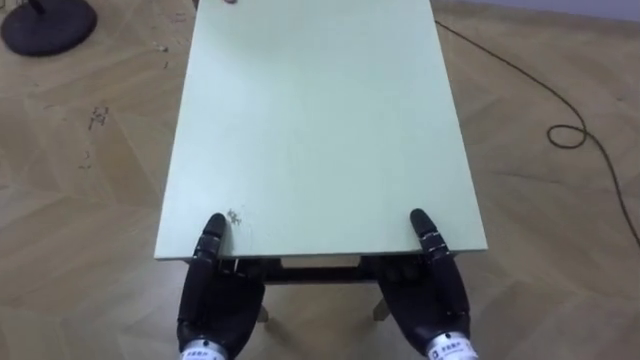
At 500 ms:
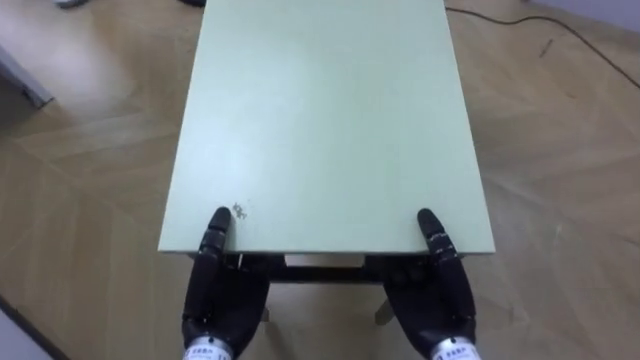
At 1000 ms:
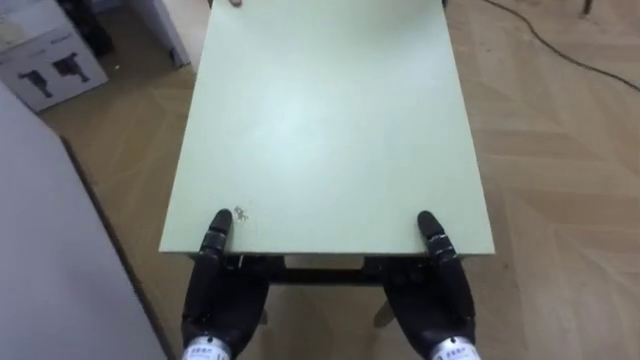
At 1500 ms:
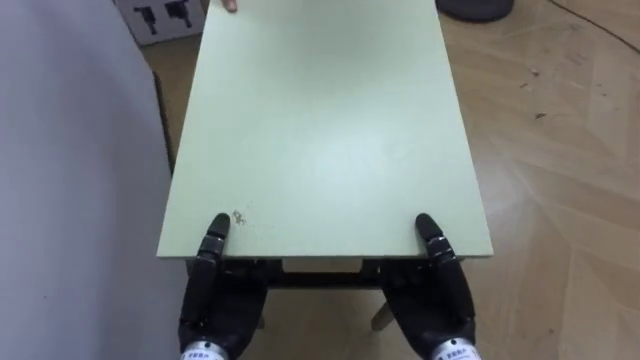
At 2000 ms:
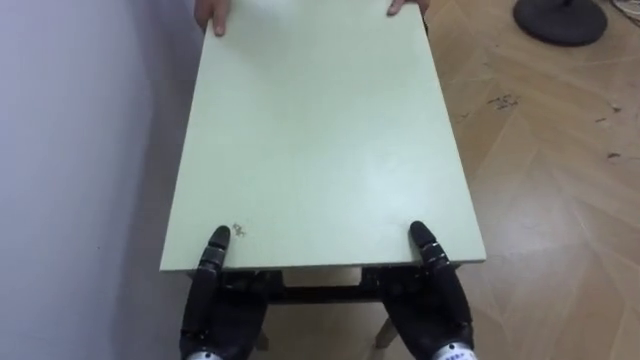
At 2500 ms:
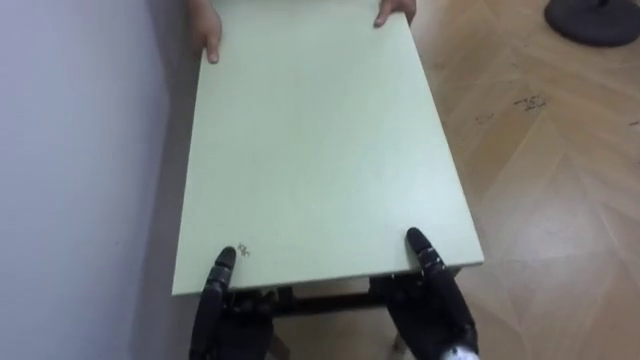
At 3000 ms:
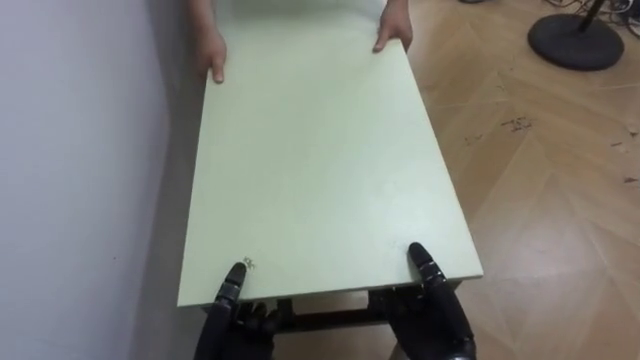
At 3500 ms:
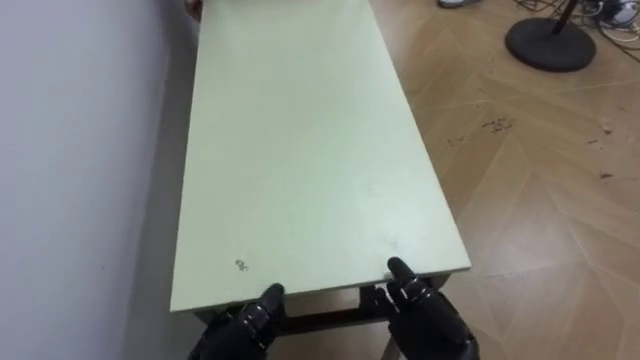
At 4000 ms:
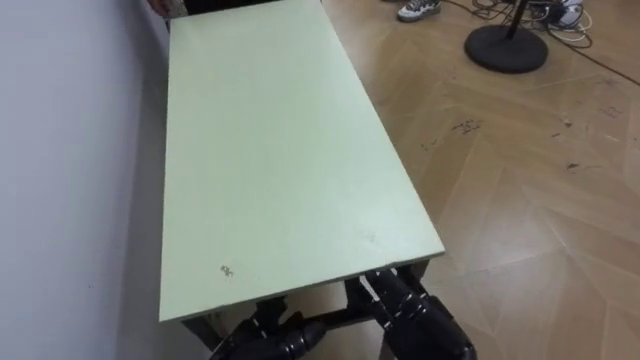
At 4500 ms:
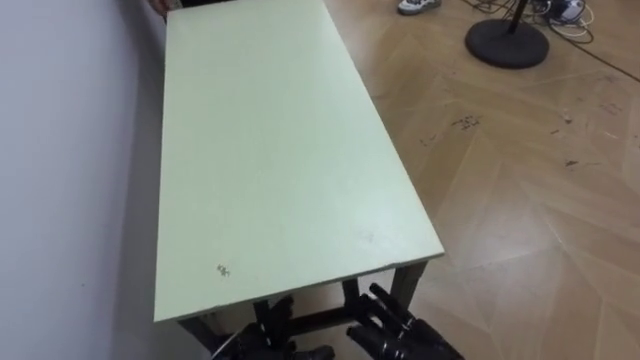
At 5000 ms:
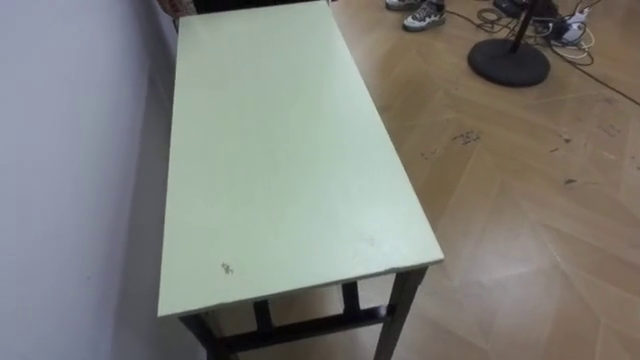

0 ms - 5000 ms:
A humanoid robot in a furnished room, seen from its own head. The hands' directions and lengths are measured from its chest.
Task of the whole recording: Move the table to the back left with someone.
0 ms - 2500 ms: The robot rotates some 75 degrees to its left. The left hand ends up some 5 cm from where it was.

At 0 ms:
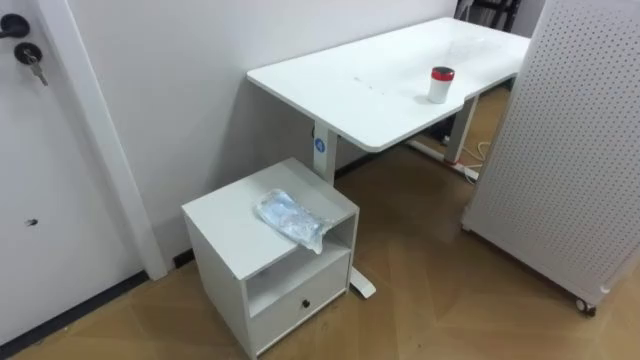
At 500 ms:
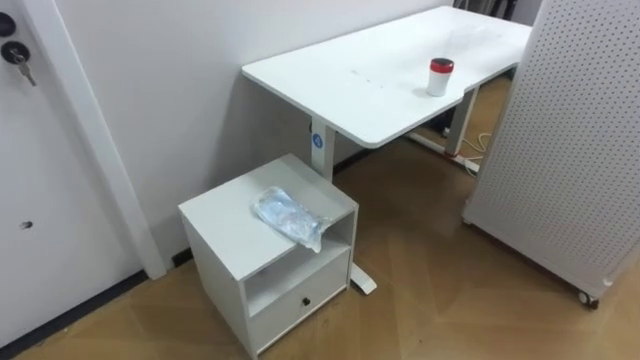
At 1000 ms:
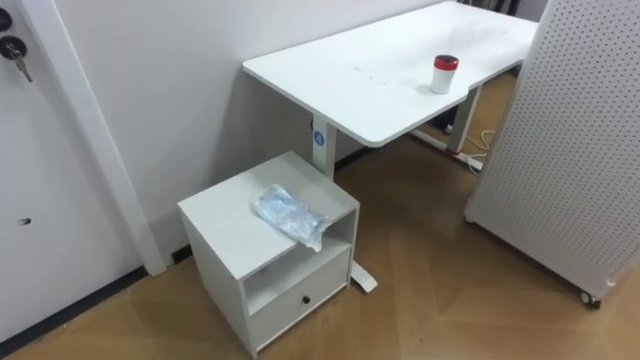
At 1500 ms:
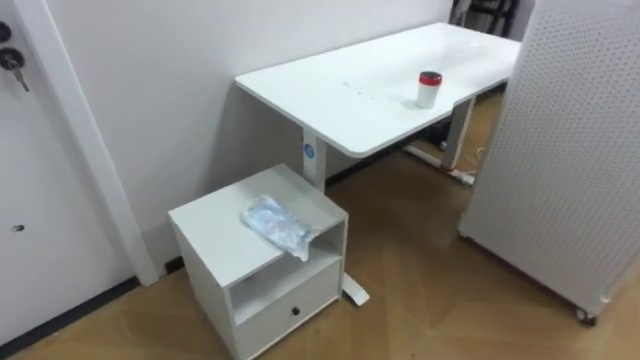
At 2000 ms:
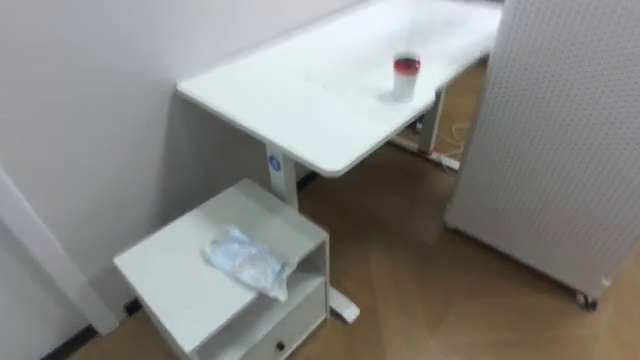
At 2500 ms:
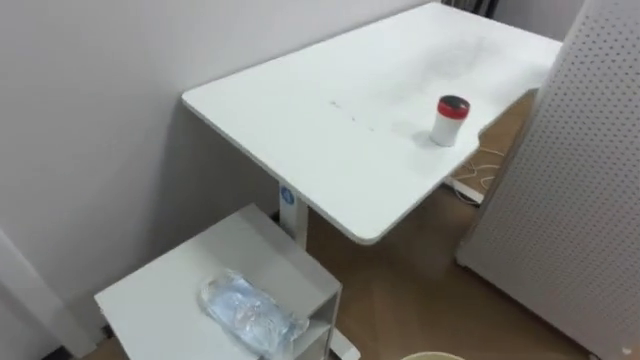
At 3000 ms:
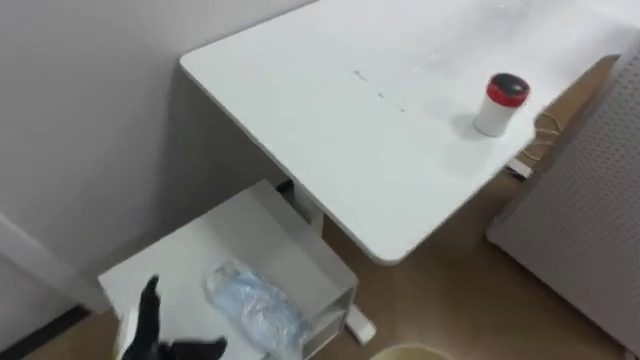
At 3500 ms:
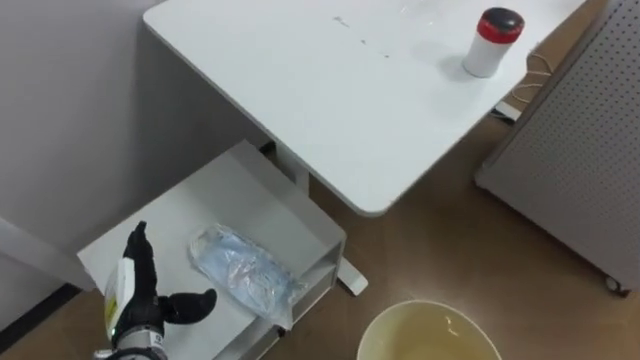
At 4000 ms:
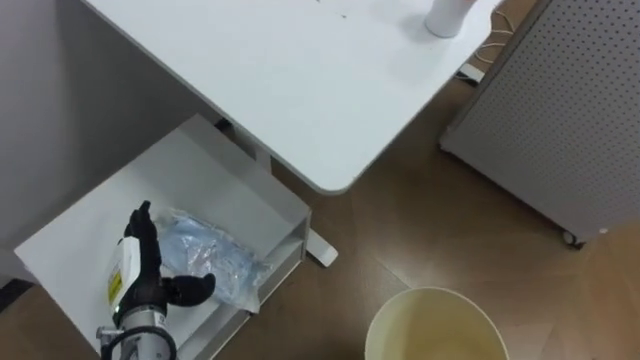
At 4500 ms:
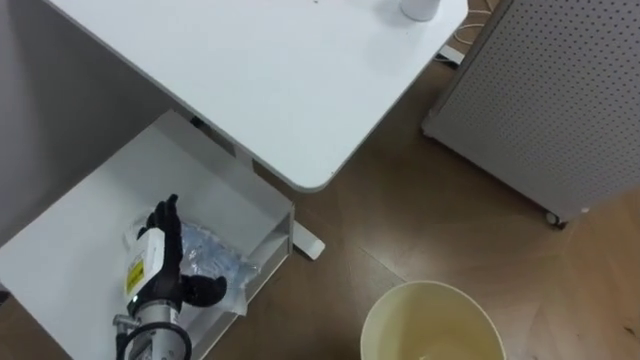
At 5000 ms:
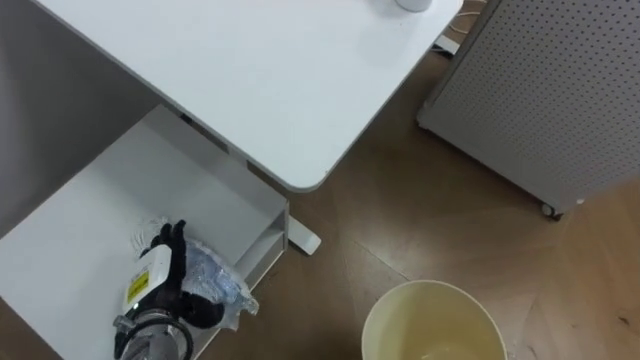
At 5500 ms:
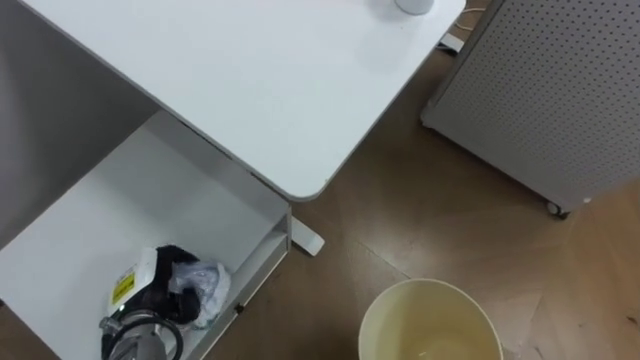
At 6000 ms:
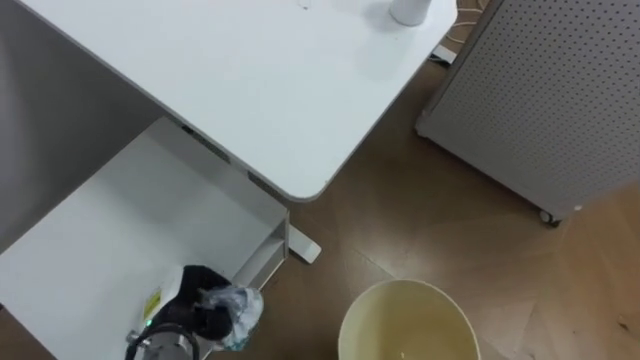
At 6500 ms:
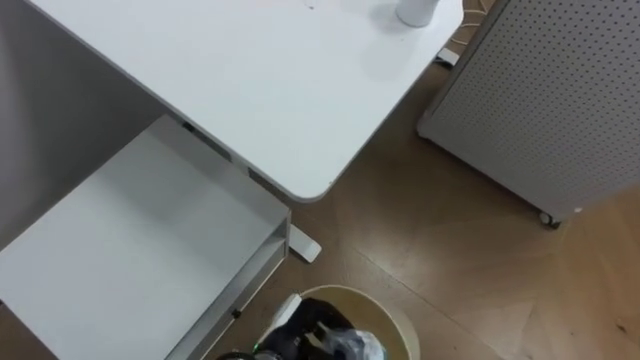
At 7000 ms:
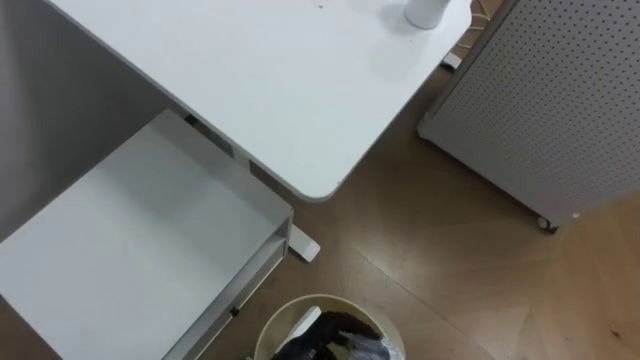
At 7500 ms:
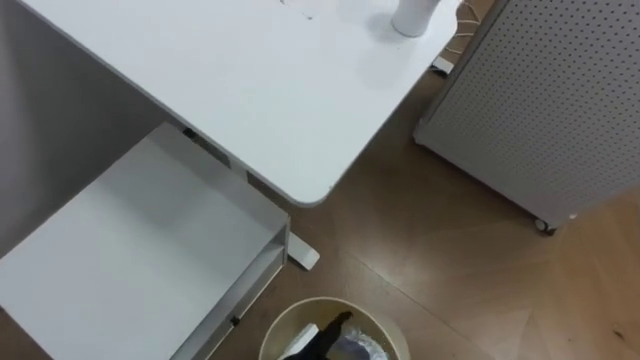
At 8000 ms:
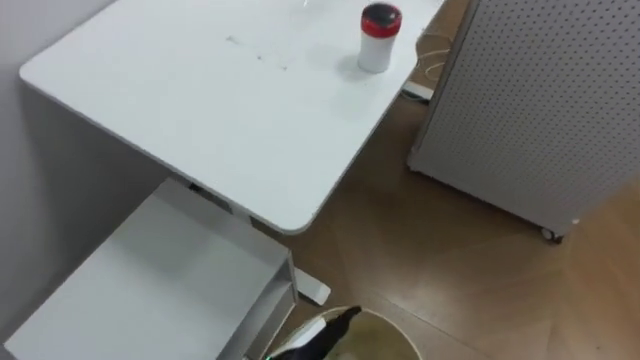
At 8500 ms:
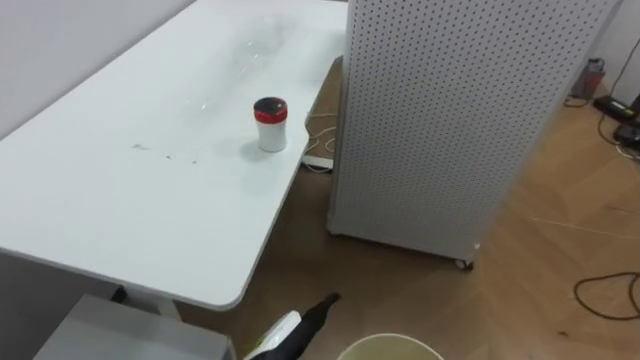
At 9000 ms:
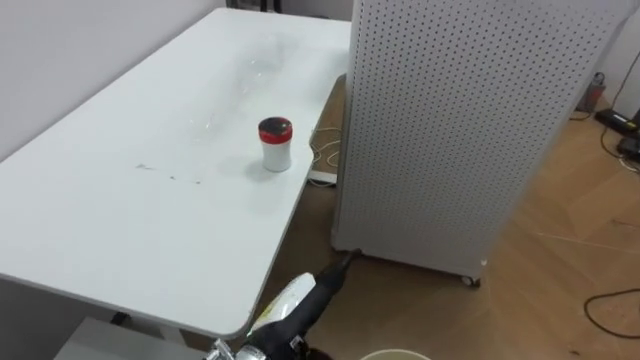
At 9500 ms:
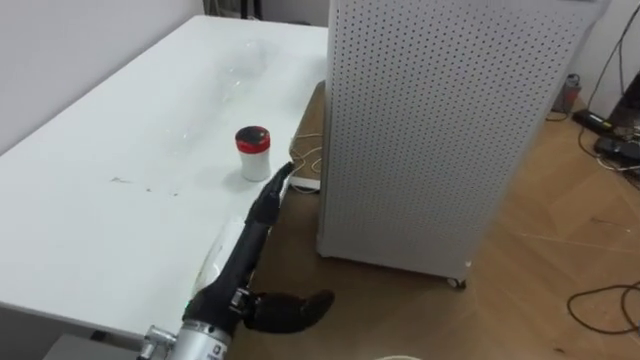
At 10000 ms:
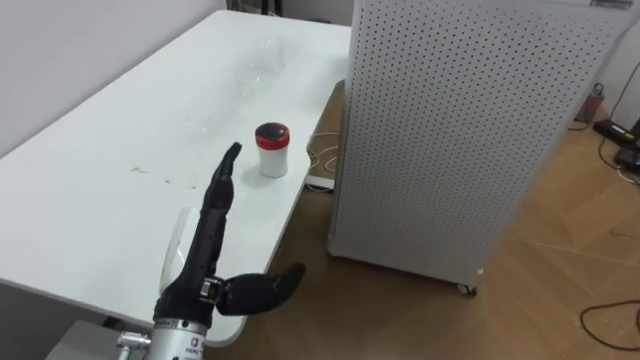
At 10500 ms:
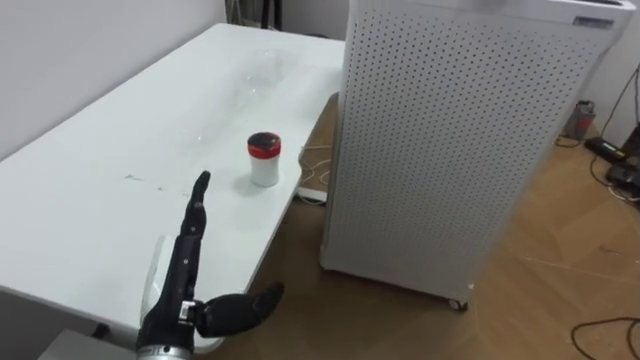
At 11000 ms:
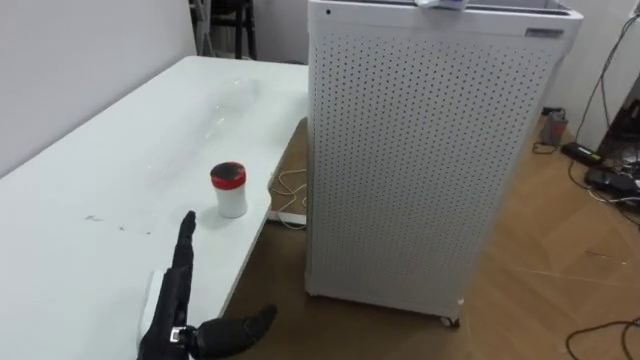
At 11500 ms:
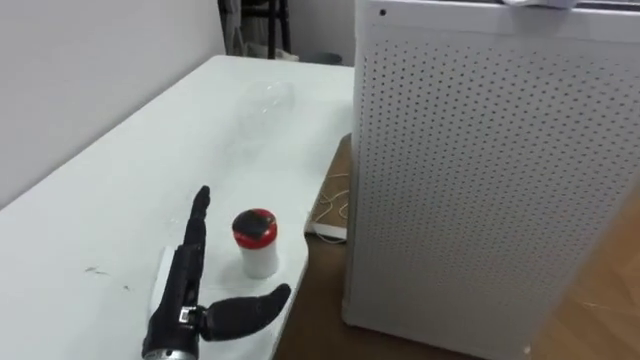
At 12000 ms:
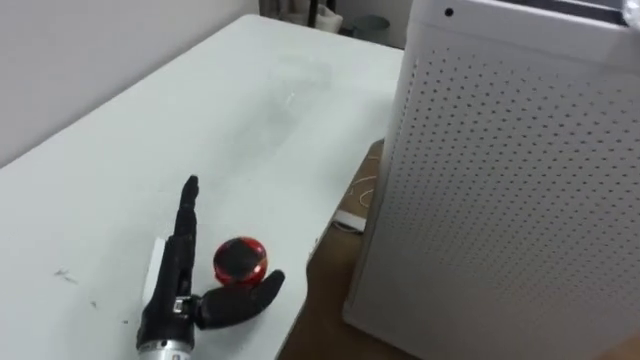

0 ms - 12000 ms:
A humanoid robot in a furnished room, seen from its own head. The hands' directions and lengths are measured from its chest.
Task of the whole recording: Pick up the light blue package, the candy box, and the dark blue package separately, and put them into the trash can held in your right hand.
4000 ms - 6000 ms: The left hand changes place by some 5 cm, and closes up.
8000 ms - 10000 ms: The robot's body swings about 25 degrees to its right. The left hand goes some 20 cm upward and to the left.

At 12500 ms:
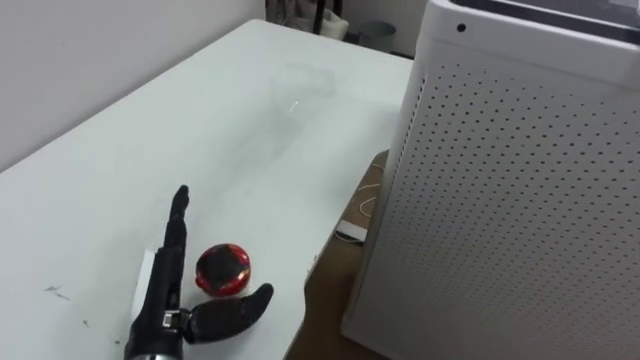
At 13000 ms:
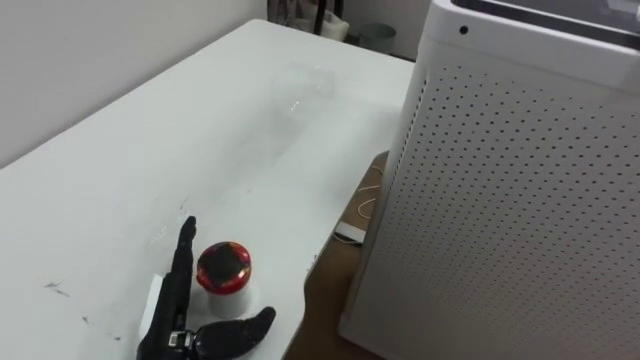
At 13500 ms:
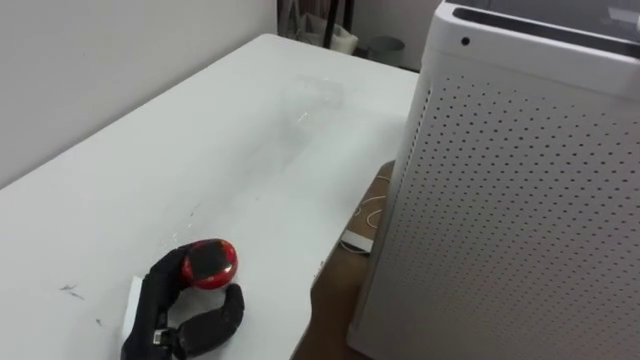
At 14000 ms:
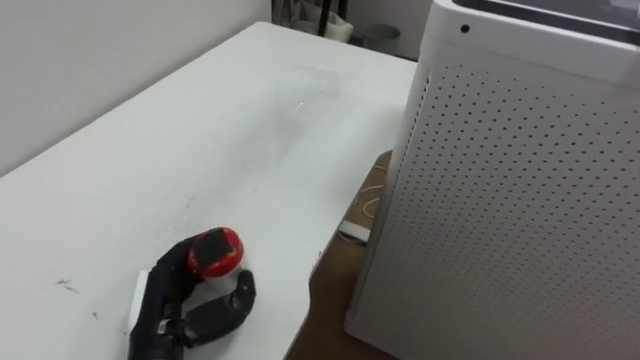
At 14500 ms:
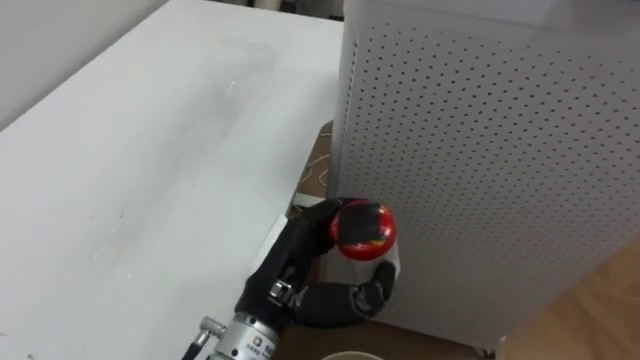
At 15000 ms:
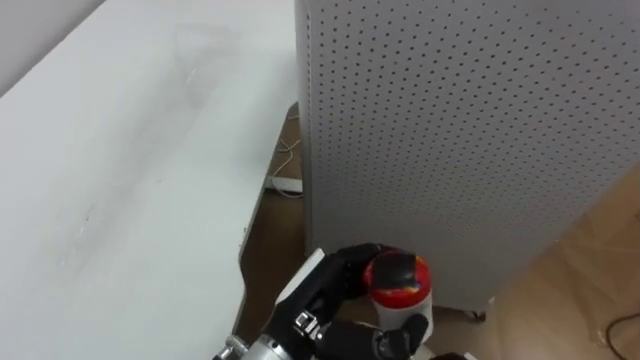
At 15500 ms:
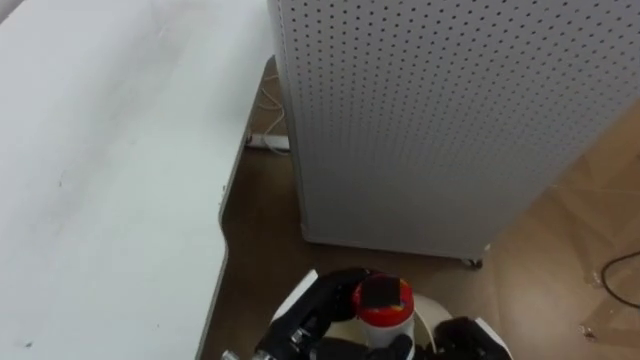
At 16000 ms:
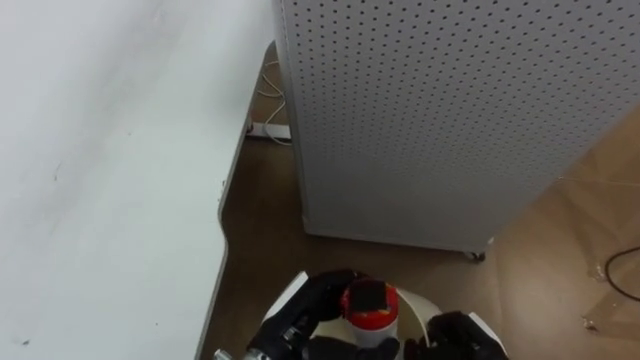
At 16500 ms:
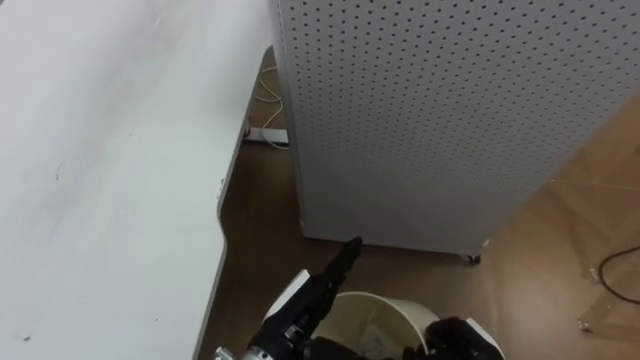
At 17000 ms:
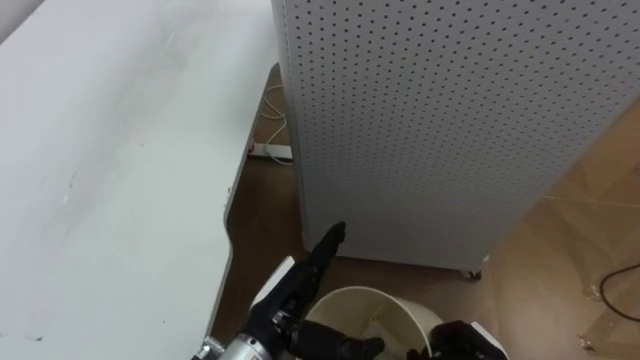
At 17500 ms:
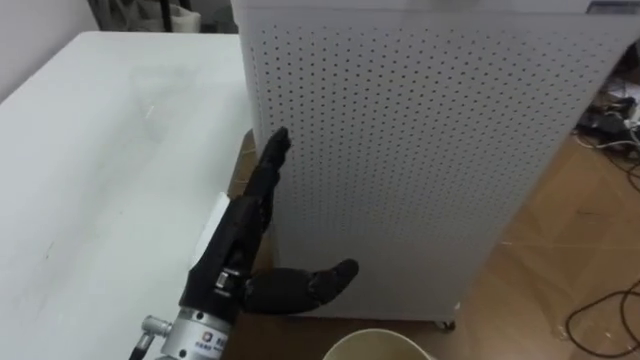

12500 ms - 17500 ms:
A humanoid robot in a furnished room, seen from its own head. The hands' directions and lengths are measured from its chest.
Task of the whole recording: Pick up the light blue package, the candy box, and the dark blue package separately, and put them into the trash can held in your right hand.
12500 ms - 15000 ms: The left hand is displaced to the right by approximately 15 cm, and closes.
15000 ms - 17500 ms: The left hand shifts roughly 10 cm to the left and upward, and opens.
